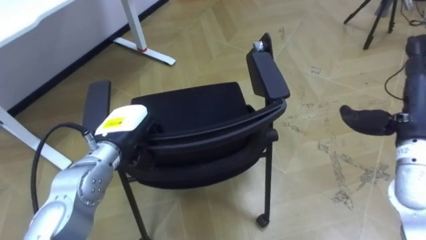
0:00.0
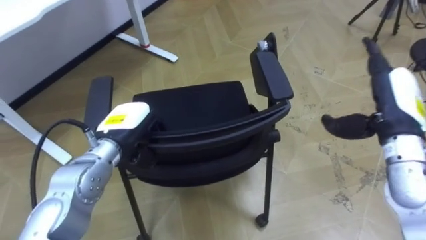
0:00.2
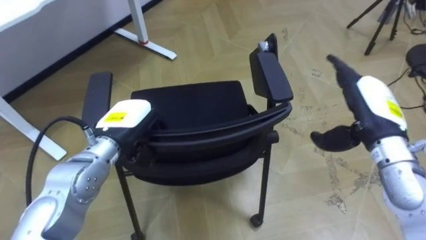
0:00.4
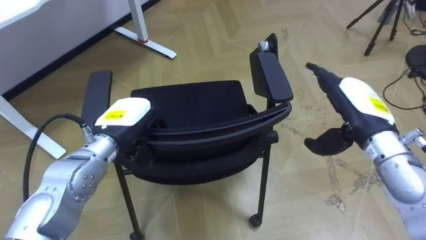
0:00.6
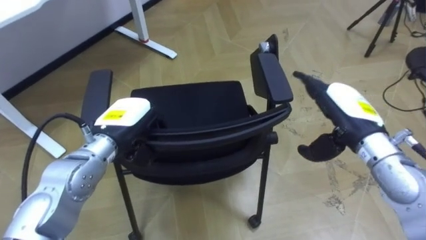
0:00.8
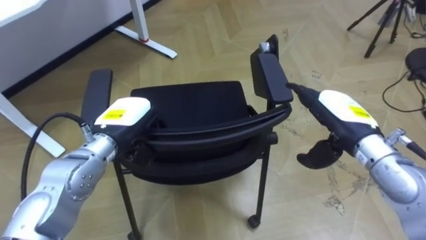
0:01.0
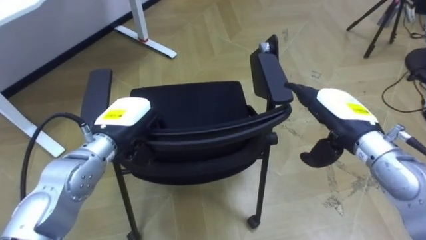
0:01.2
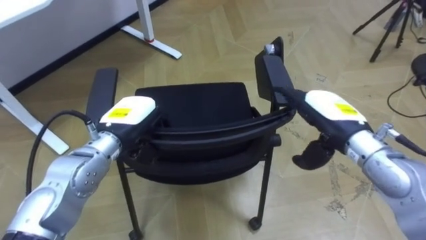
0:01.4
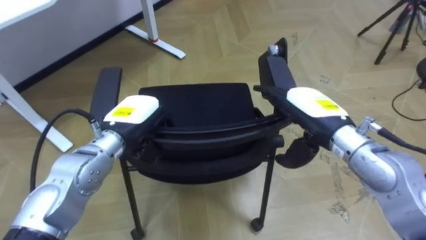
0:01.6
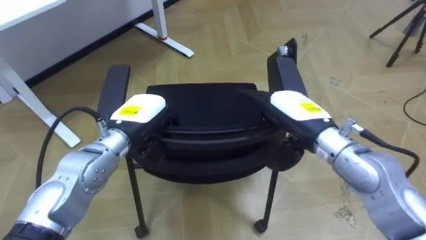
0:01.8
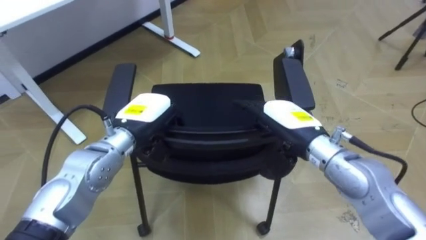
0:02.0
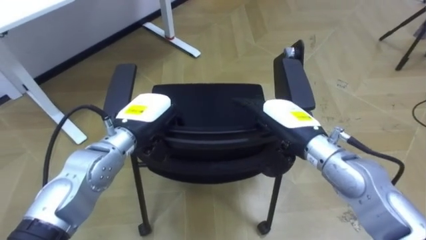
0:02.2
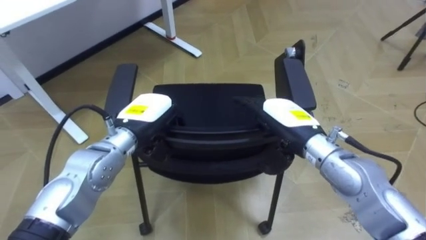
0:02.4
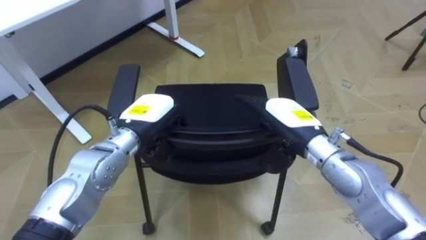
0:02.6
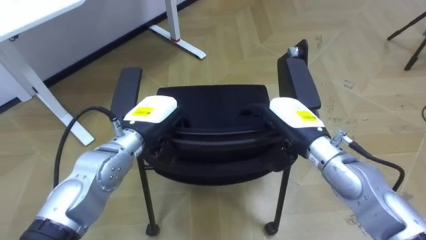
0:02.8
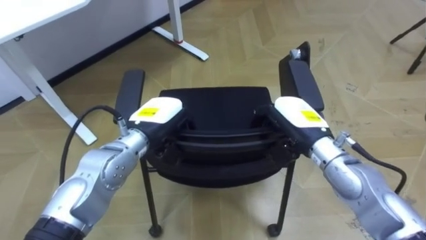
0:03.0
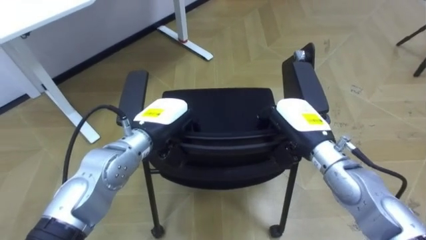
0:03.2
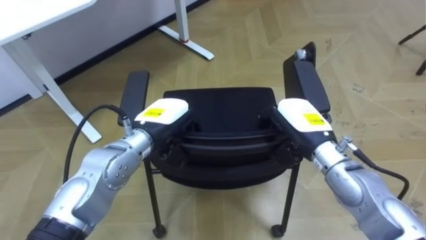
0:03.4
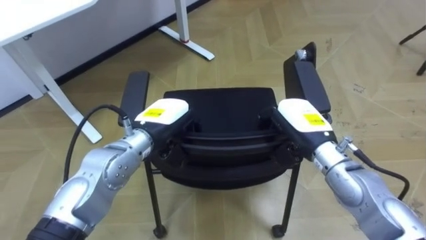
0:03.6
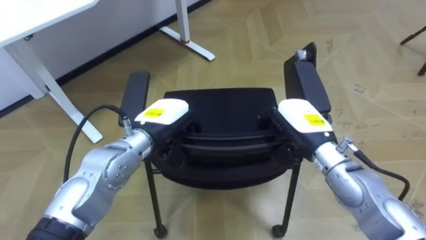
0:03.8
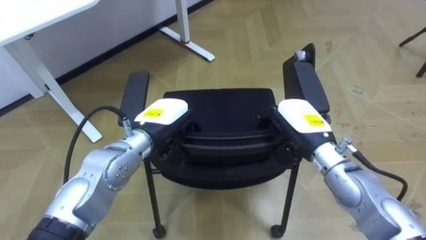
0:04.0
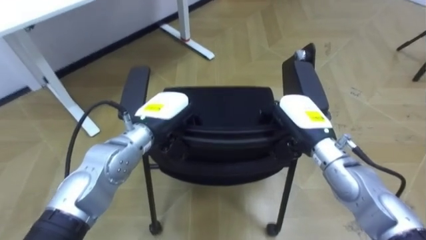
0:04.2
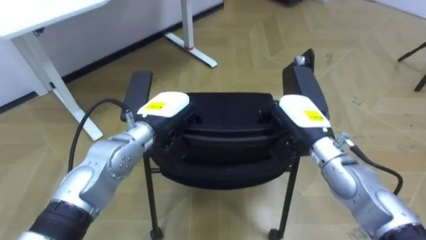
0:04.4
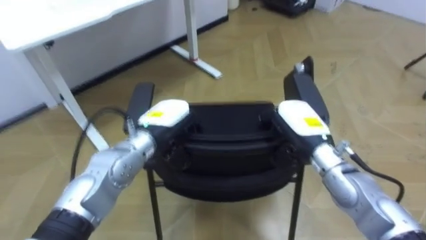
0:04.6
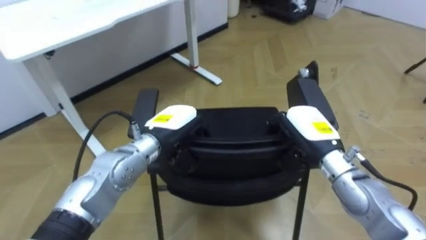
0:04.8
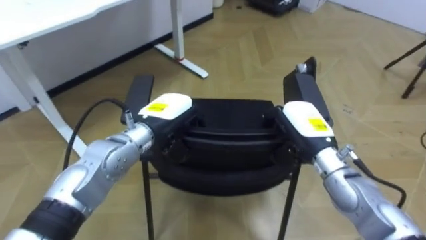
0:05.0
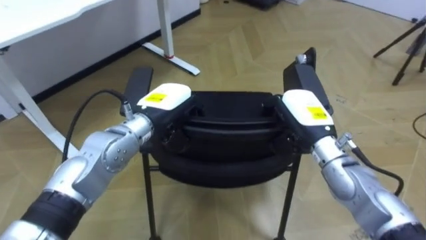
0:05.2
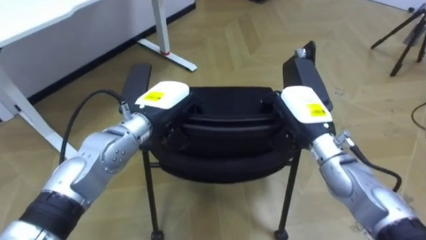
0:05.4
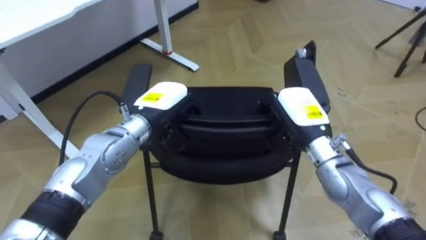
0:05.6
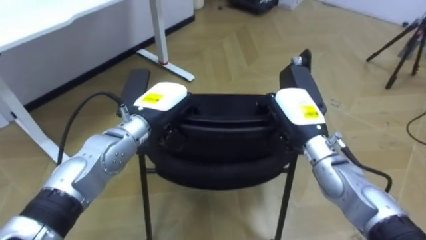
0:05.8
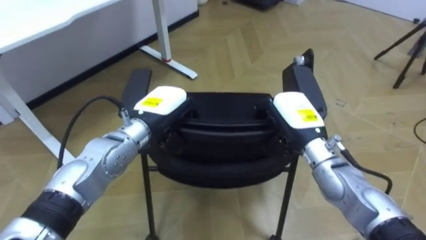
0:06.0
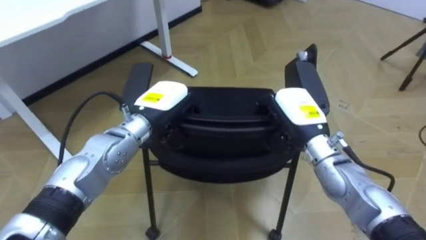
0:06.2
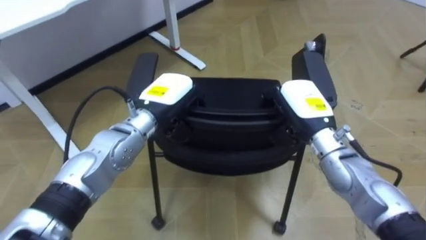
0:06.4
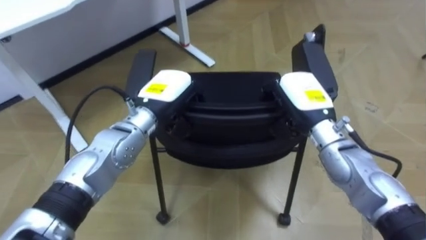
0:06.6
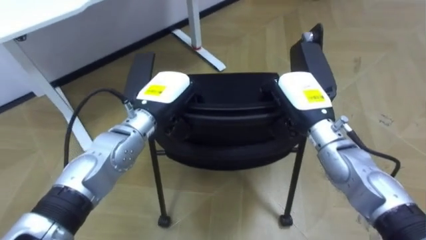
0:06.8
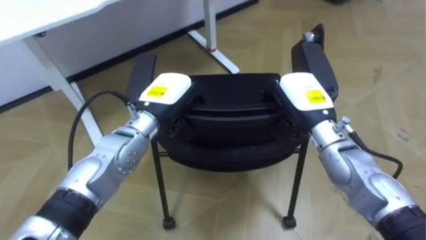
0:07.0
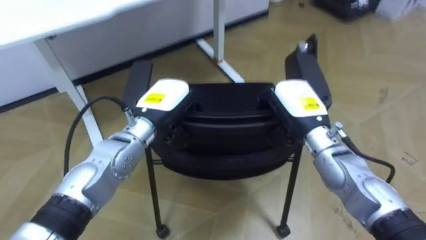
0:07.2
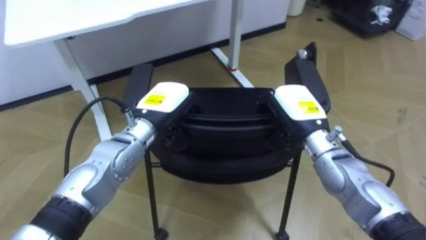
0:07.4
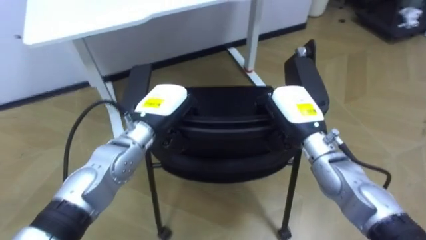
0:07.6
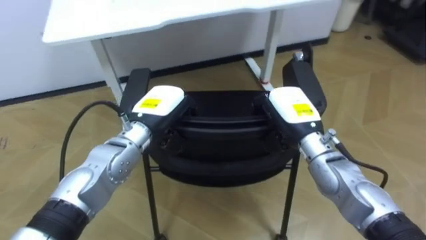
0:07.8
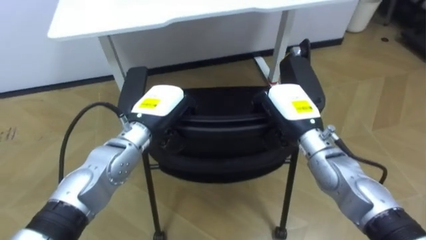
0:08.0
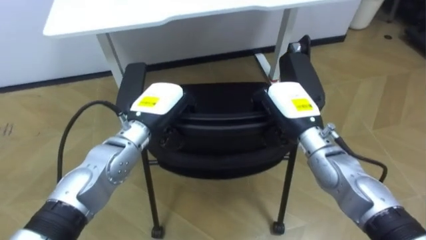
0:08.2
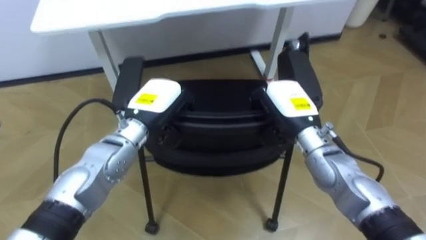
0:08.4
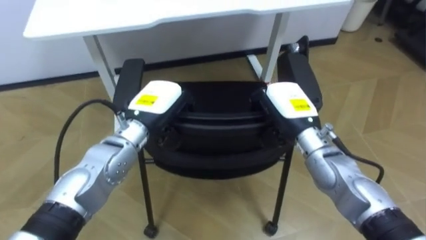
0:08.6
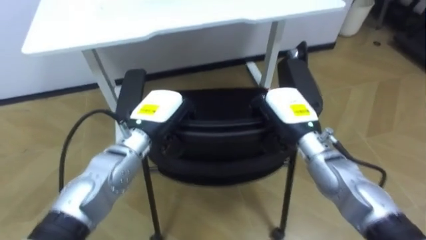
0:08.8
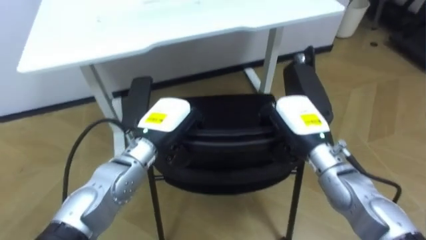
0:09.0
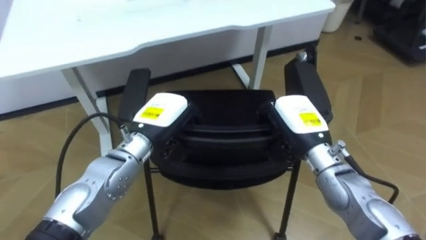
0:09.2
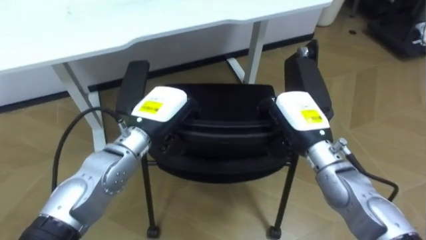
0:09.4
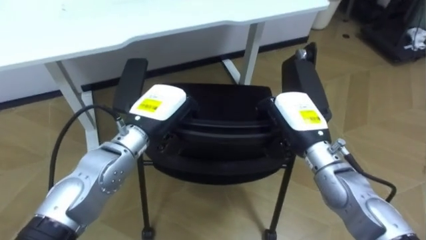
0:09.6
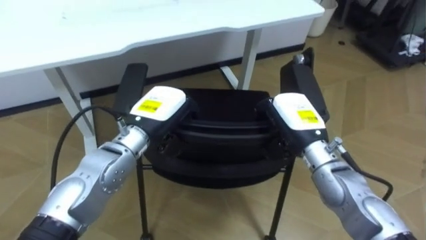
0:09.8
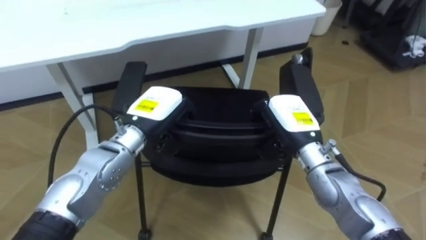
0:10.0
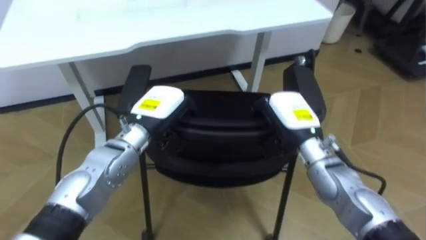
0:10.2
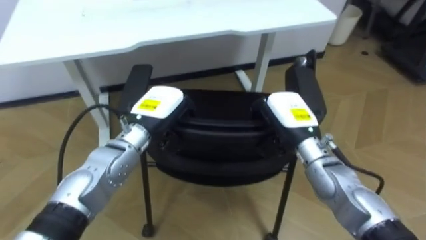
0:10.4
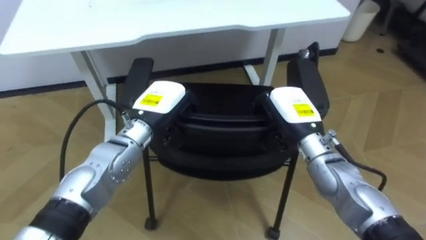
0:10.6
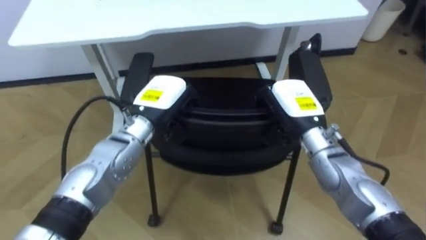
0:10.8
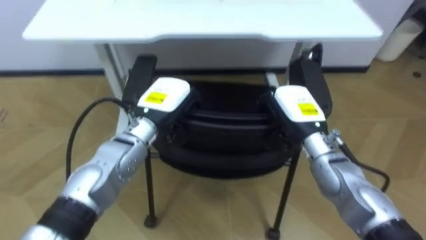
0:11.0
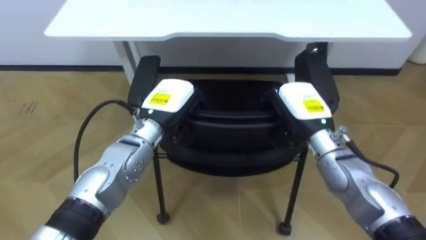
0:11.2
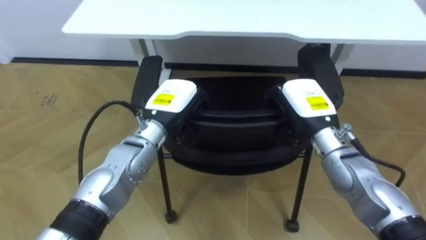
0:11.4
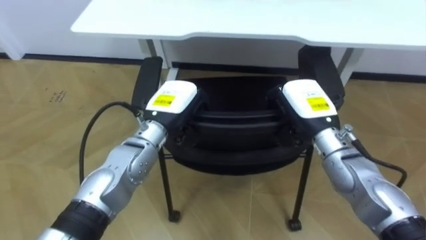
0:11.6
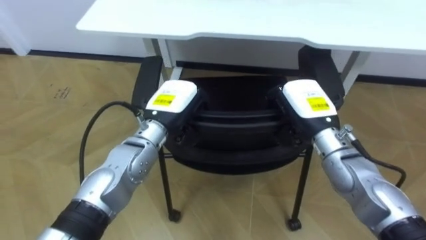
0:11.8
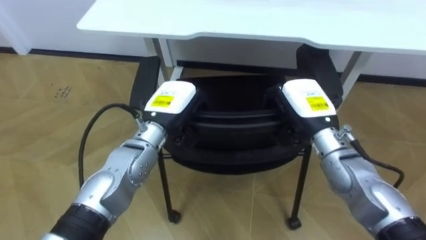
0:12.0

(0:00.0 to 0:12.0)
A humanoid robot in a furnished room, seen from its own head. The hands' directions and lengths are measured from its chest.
Task of the whole recording: Push the chair under the table.
0:00.0 - 0:01.6: The right hand is displaced to the left by about 15 cm.
0:01.6 - 0:03.0: The right hand closes its fingers.
0:06.0 - 0:07.6: The robot faces some 20 degrees further to its left.
0:10.4 - 0:12.0: The robot's body swings some 25 degrees to its left.

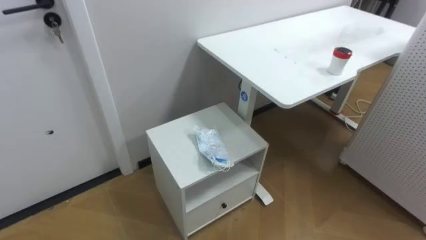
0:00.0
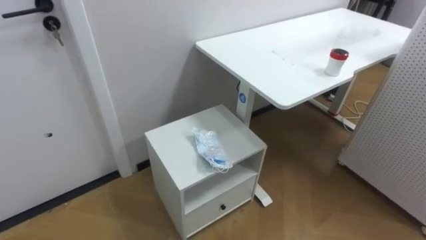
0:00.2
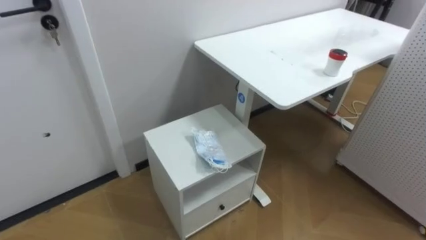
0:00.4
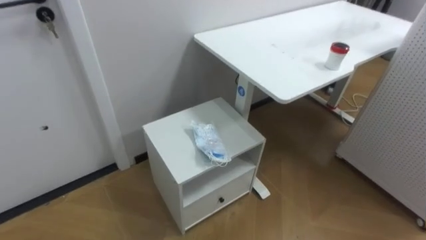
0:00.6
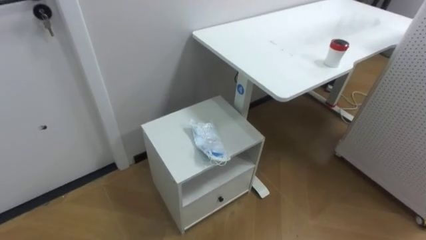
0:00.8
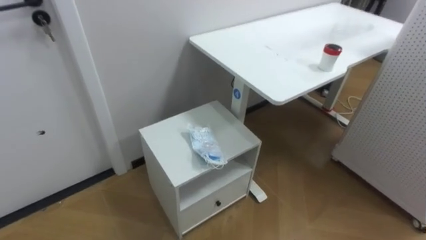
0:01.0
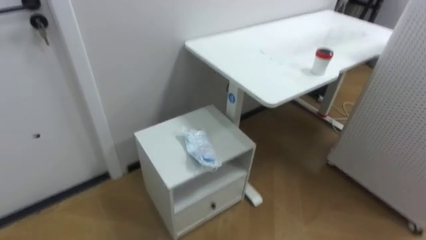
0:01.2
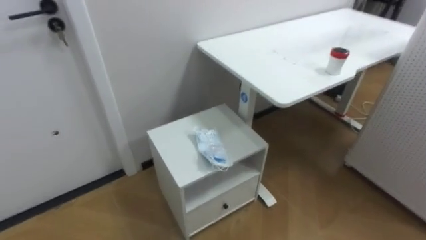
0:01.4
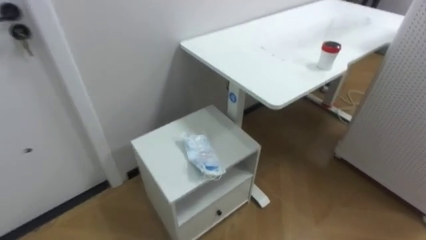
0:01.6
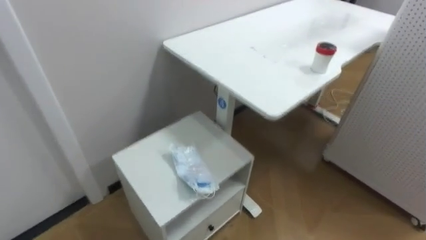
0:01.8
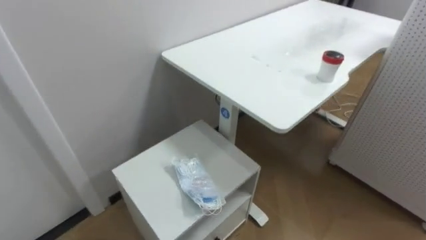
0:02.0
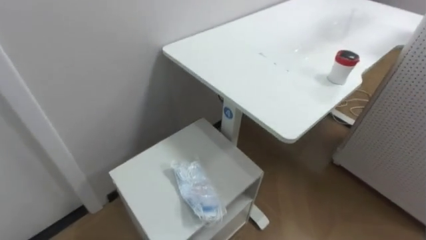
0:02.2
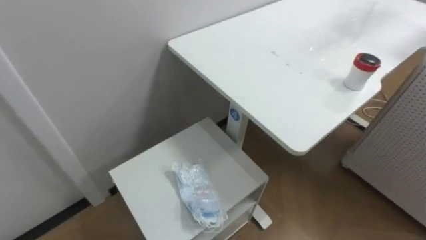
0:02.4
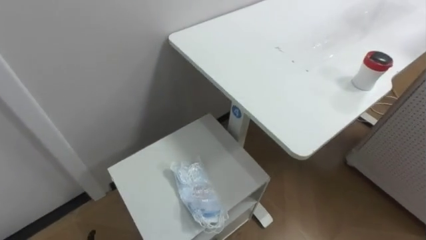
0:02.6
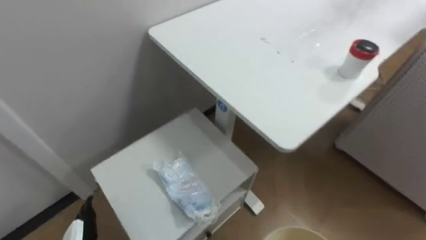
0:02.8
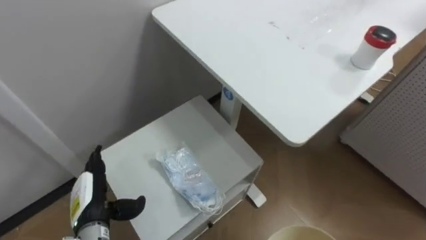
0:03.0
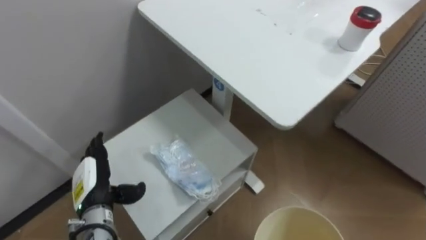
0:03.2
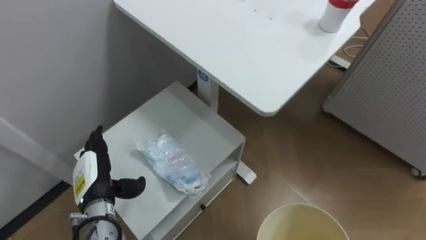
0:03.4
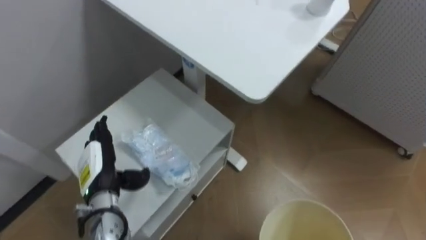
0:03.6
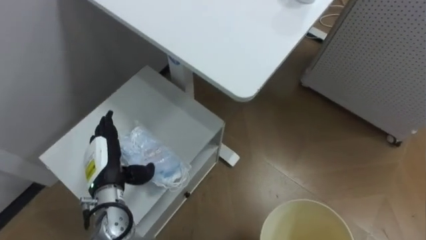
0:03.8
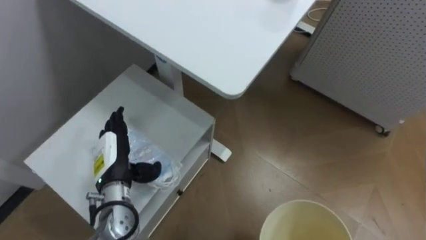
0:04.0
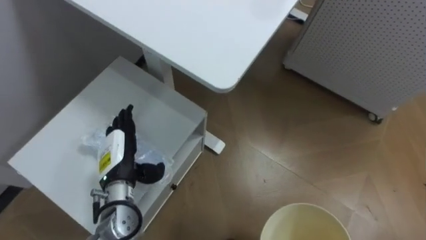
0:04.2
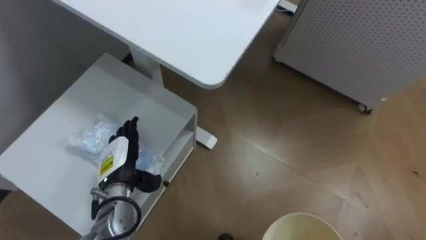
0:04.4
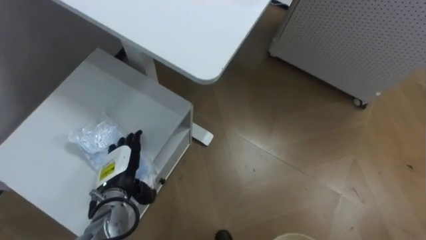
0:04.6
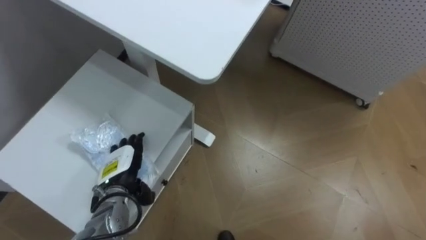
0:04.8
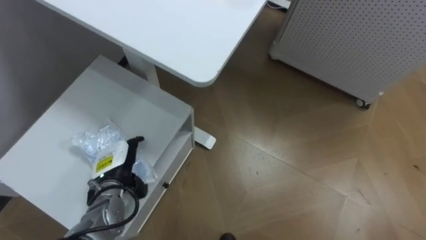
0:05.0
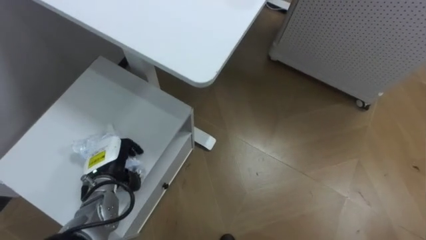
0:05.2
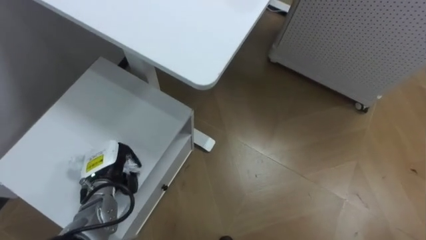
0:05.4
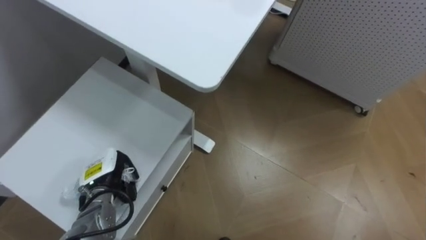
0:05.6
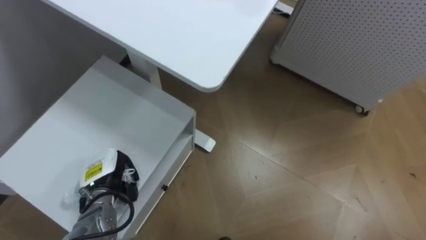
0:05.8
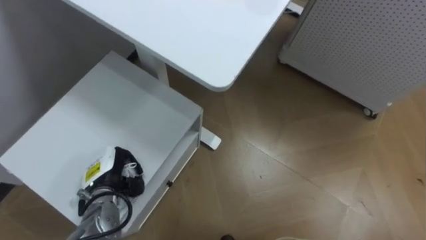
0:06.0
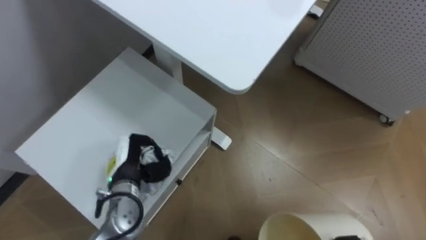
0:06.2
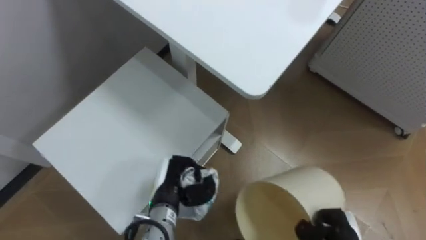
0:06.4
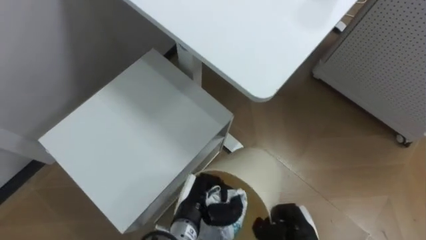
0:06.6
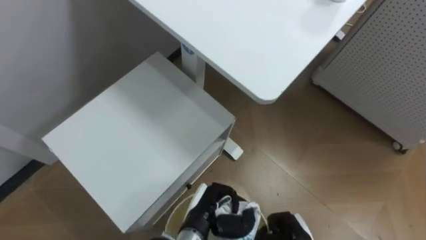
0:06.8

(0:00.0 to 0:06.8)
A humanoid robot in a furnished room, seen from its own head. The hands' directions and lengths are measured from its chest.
Task of the whole recording: Pick up the light blue package, the candy box, and the dark blue package separately, and put them into the trash can held in your right hand.
0:04.0 - 0:05.4: The left hand closes up.
0:05.4 - 0:06.8: The left hand moves to the right, approximately 20 cm.
